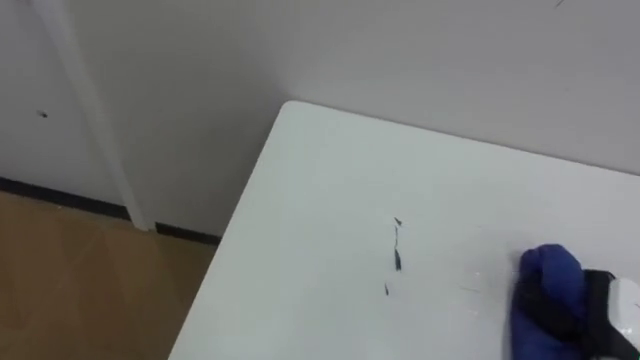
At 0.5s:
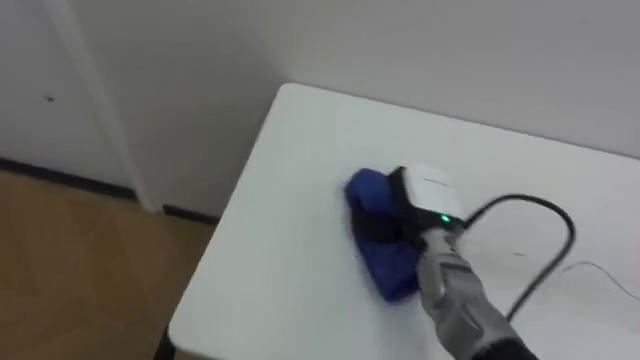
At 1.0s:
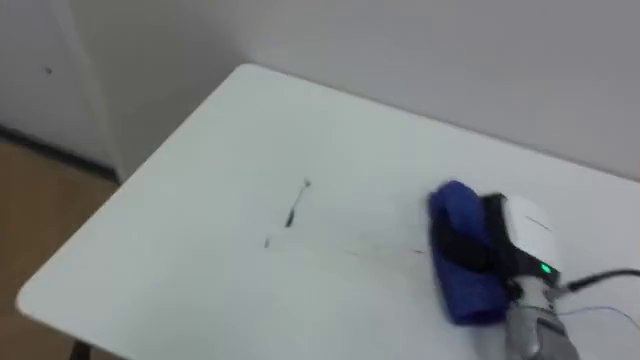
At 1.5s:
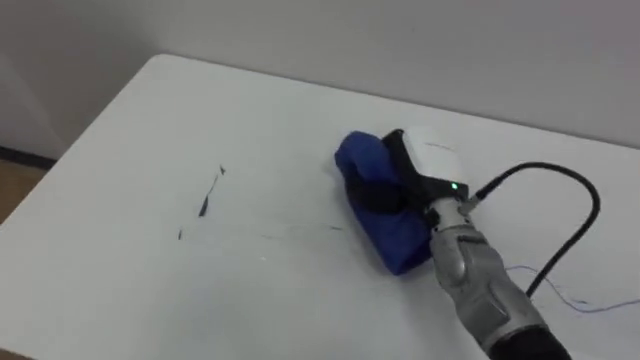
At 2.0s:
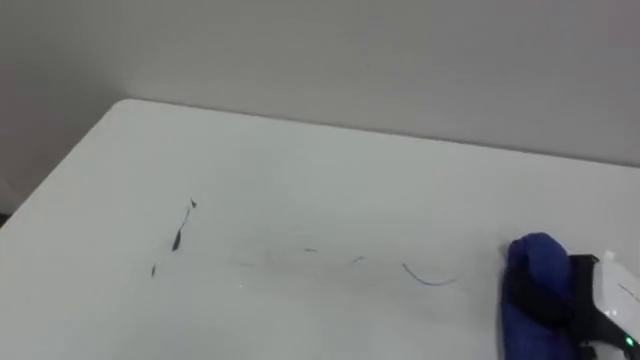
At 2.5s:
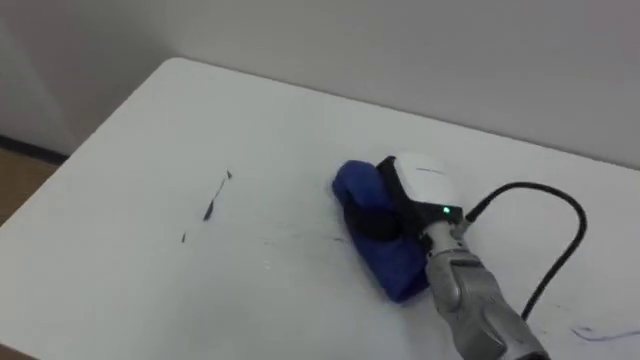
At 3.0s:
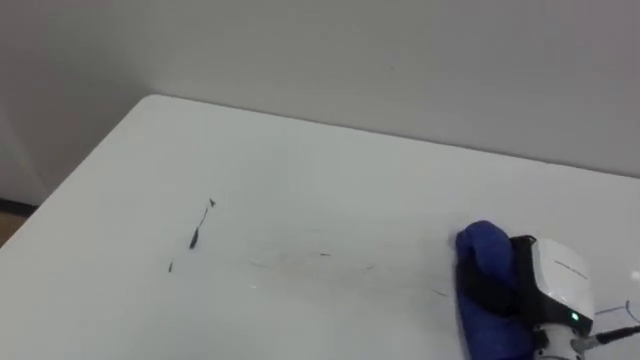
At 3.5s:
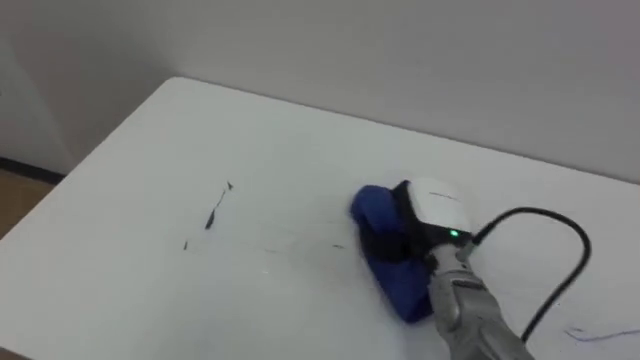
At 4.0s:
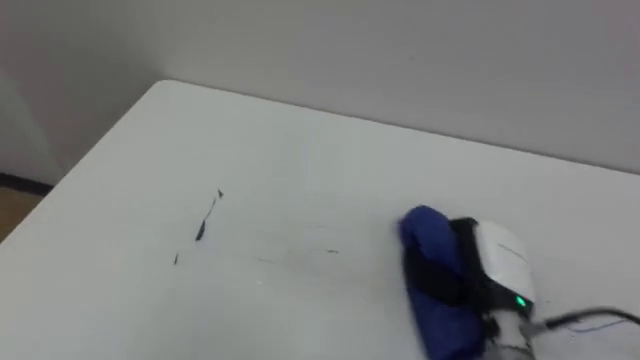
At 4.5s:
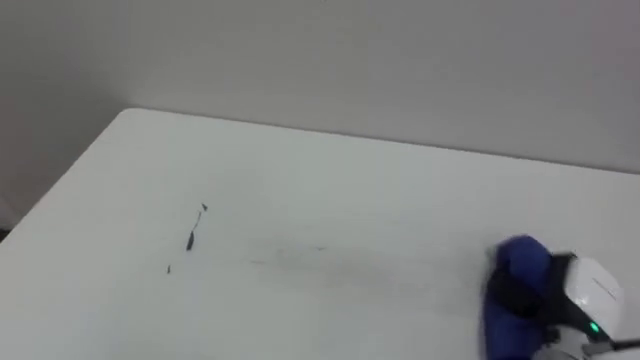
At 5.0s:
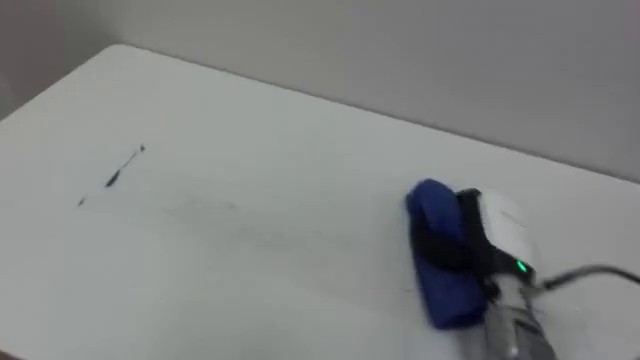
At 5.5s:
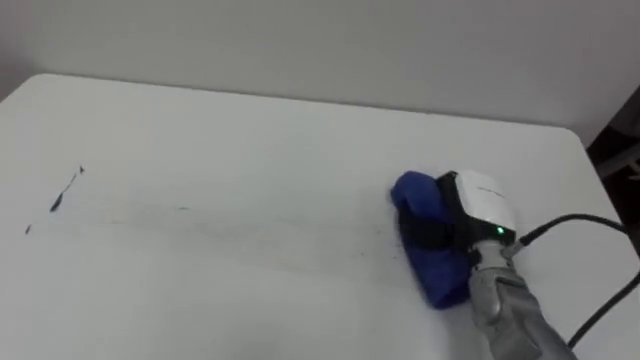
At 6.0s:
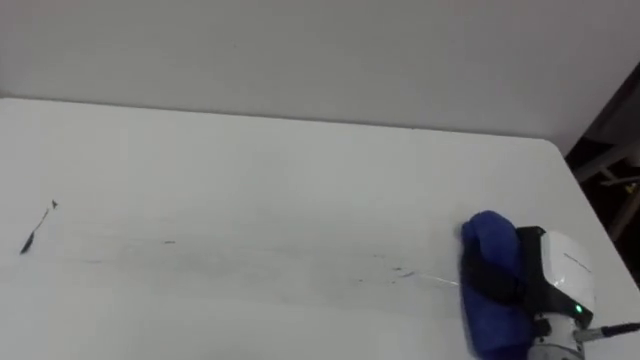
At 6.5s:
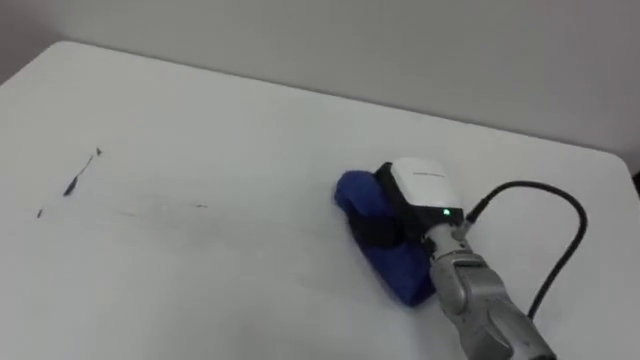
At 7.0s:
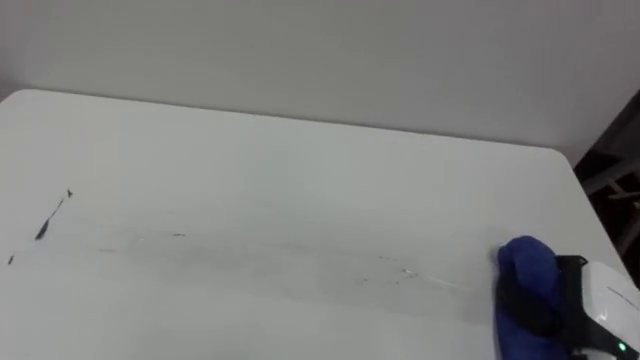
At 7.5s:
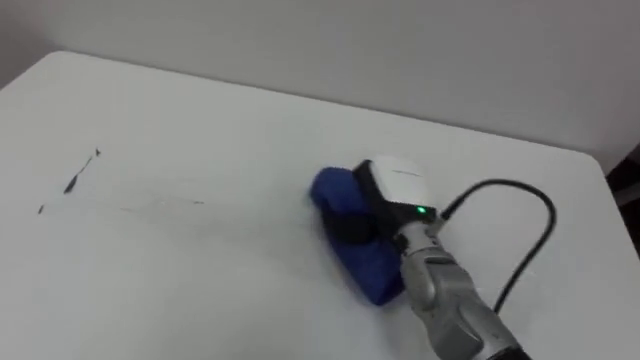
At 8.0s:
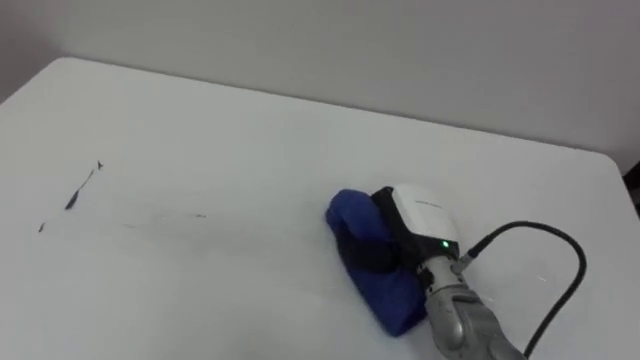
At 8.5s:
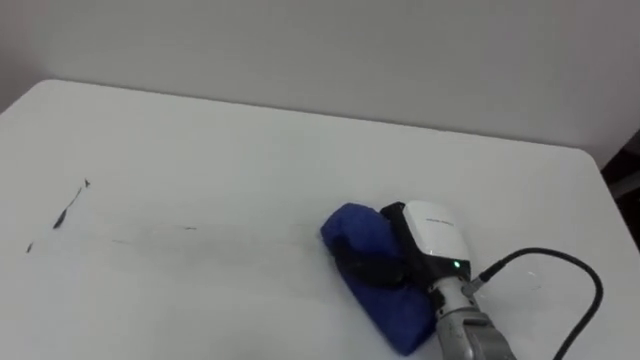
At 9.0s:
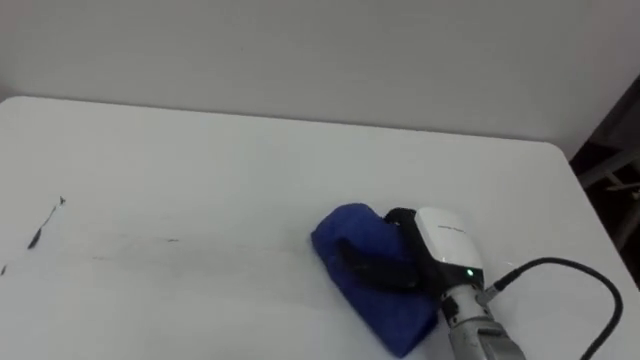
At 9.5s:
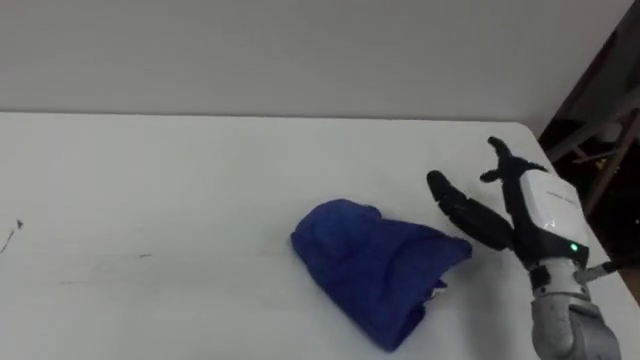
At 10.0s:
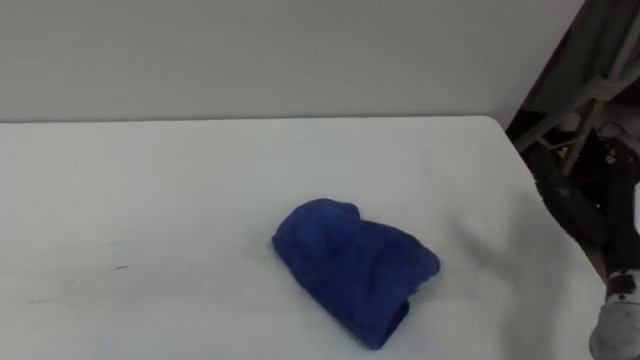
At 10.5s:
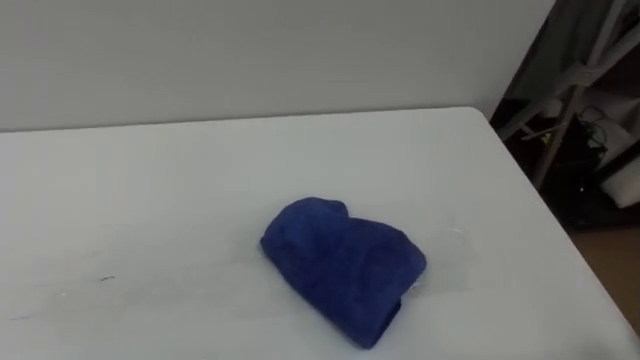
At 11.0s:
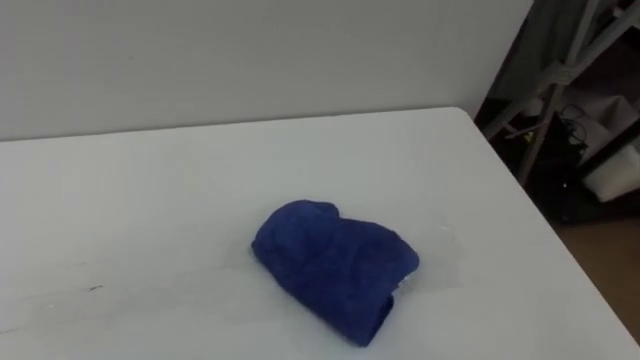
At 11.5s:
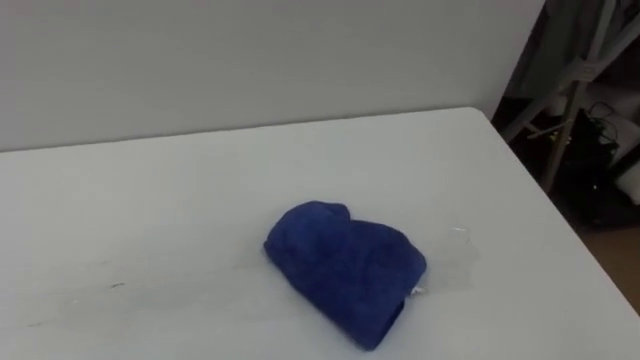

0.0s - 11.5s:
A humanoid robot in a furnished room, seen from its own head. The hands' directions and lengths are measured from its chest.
Task of the whole recording: Wipe the blue pen marks off the table with the rag.
0.0s - 2.0s: The right hand swings left and right, roughly 20 cm each way, with 3 reversals.
2.0s - 4.0s: The right hand moves left and right over some 20 cm, changing direction 2 times.
6.0s - 7.5s: The right hand moves left and right over about 20 cm, changing direction 2 times.
7.5s - 9.5s: The right hand goes roughly 15 cm to the right, and opens.

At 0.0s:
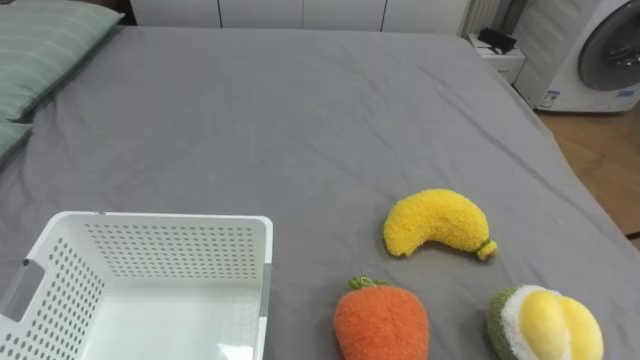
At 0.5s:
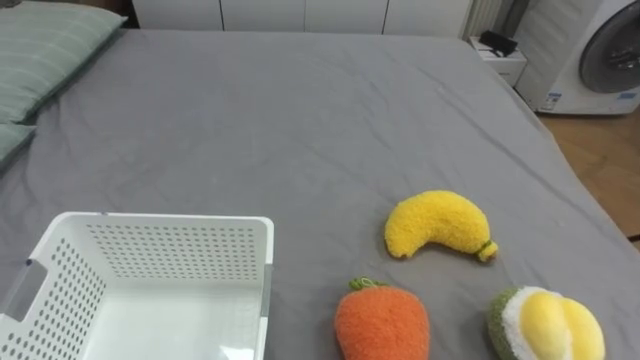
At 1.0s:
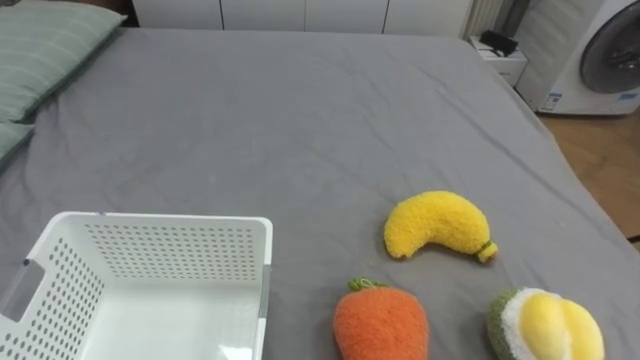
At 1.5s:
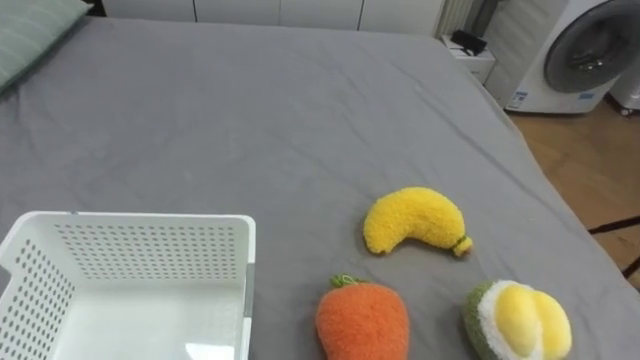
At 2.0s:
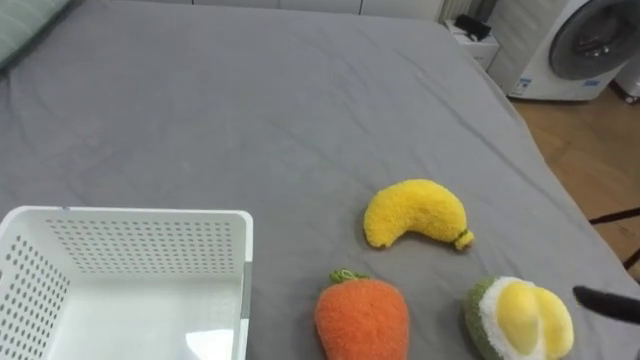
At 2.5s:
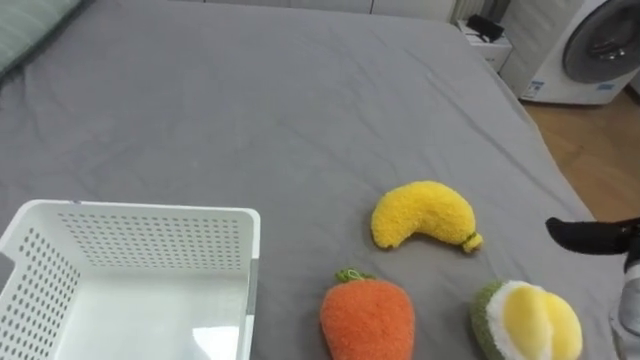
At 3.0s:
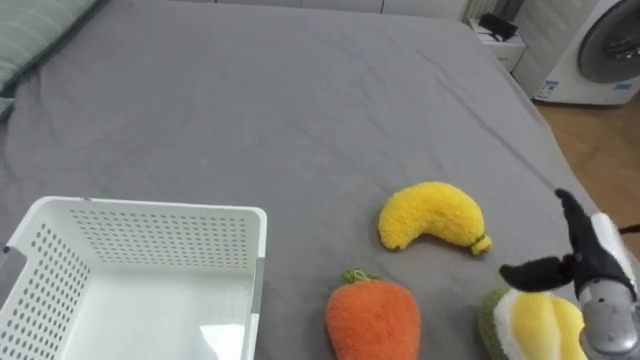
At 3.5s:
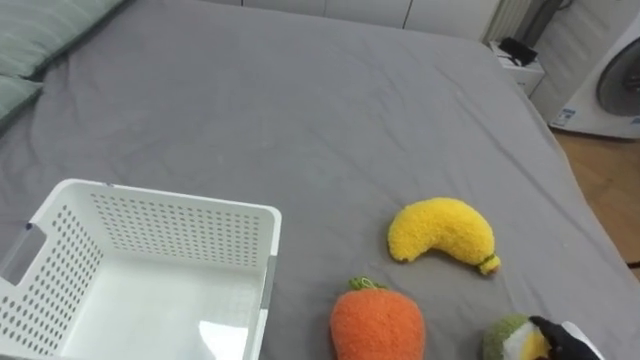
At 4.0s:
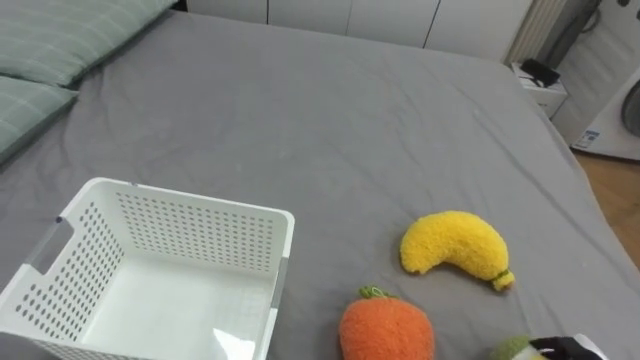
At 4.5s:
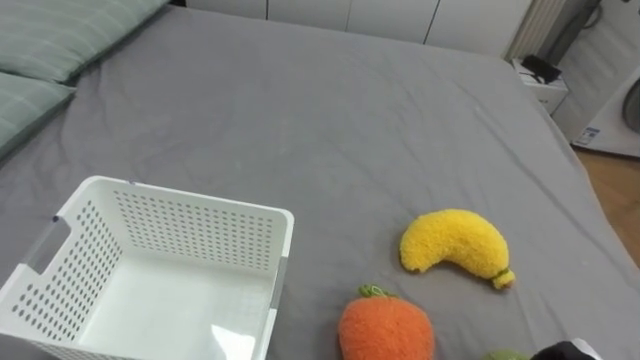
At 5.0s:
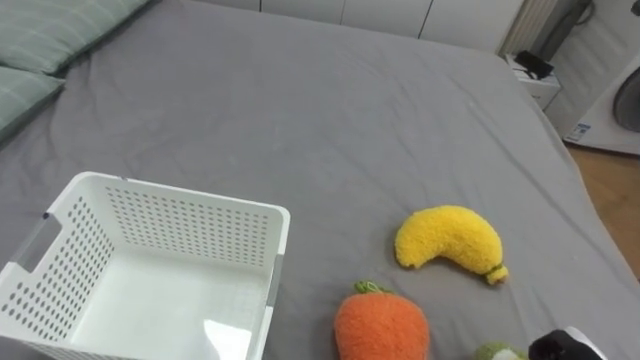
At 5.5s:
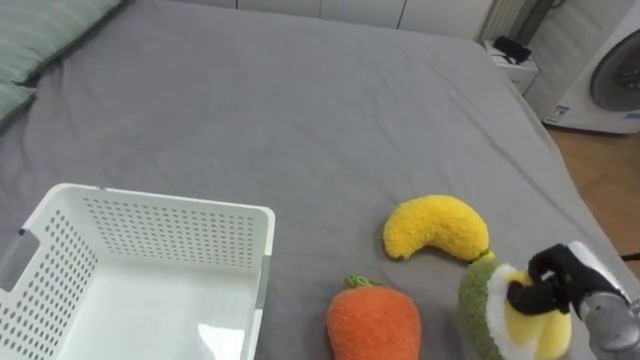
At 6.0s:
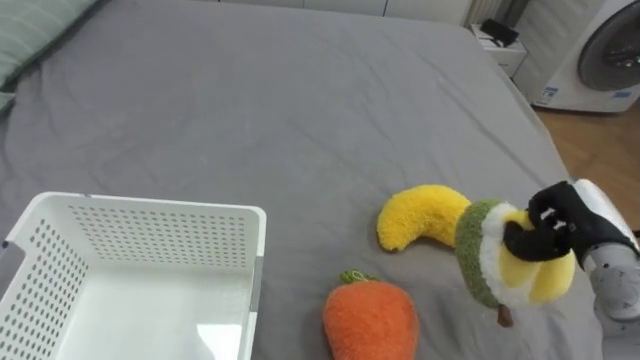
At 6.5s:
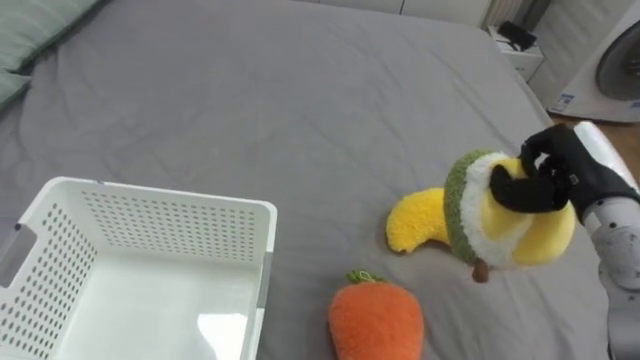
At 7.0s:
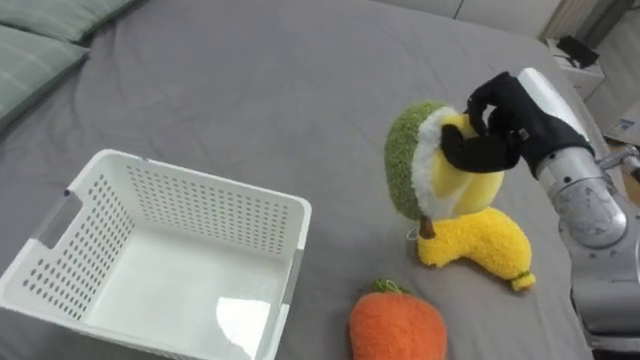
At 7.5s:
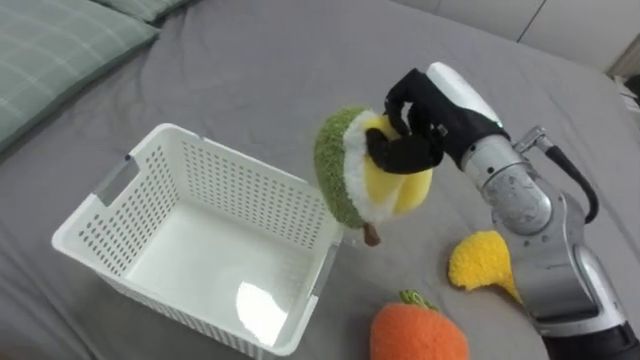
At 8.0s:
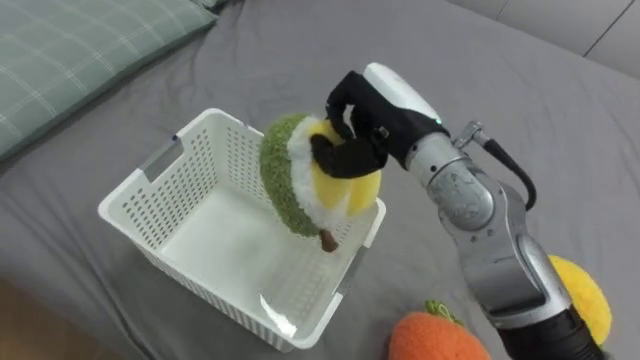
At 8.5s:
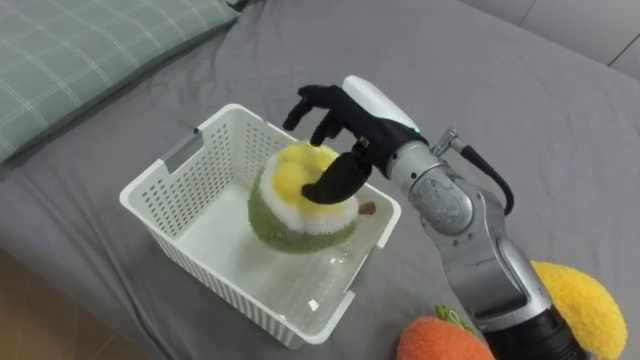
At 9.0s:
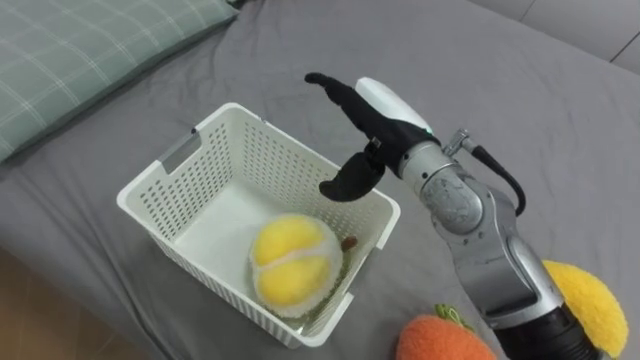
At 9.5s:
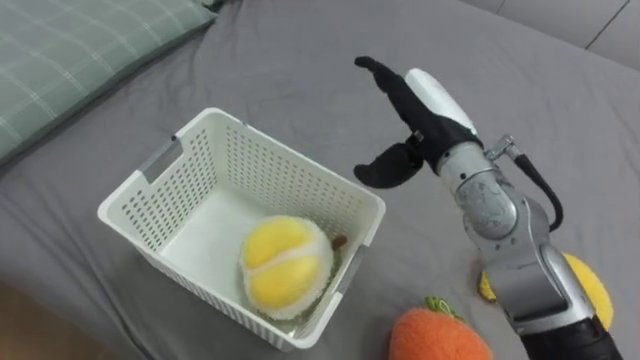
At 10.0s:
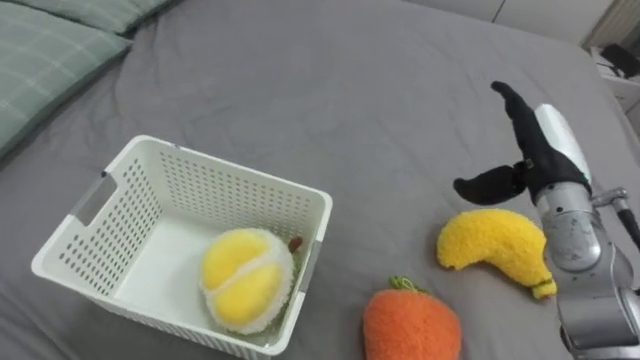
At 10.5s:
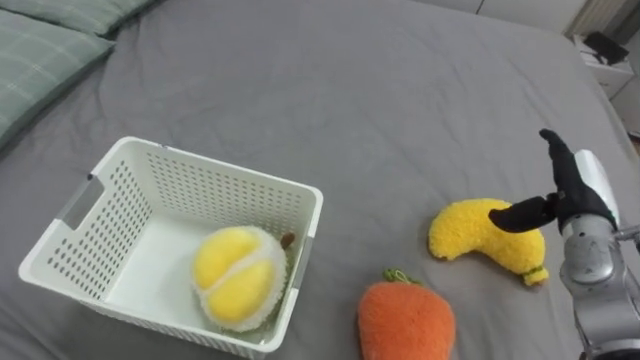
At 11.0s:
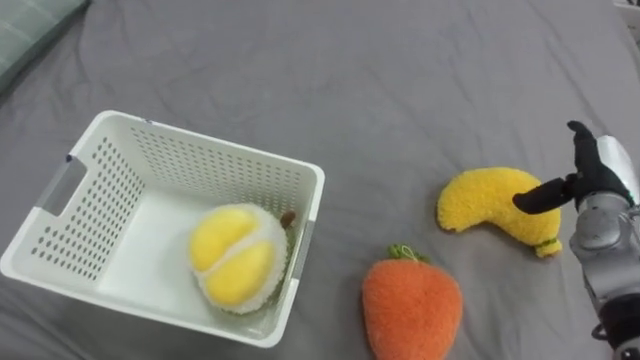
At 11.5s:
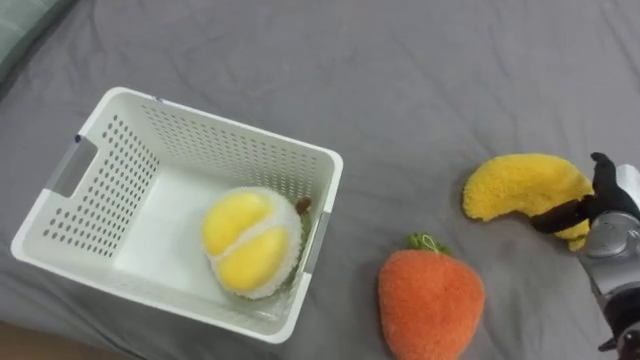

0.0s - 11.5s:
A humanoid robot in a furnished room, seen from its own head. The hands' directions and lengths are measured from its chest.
Task of the whole recording: Put the toys on the bed into the basket on the left.
6.0s - 7.5s: The right hand goes roughly 20 cm to the left and upward.
7.5s - 9.5s: The right hand reaches about 10 cm to the left, then returns, and opens its fingers.
9.5s - 11.5s: The right hand goes roughly 30 cm to the right and downward.
